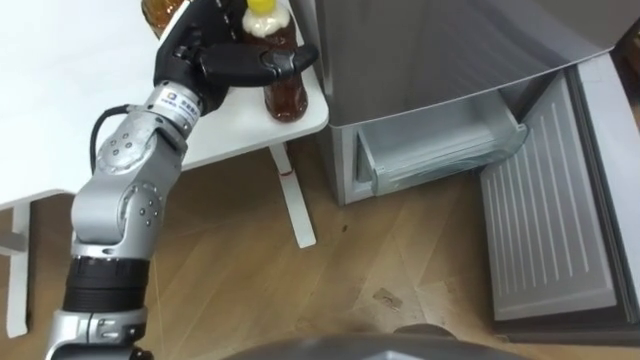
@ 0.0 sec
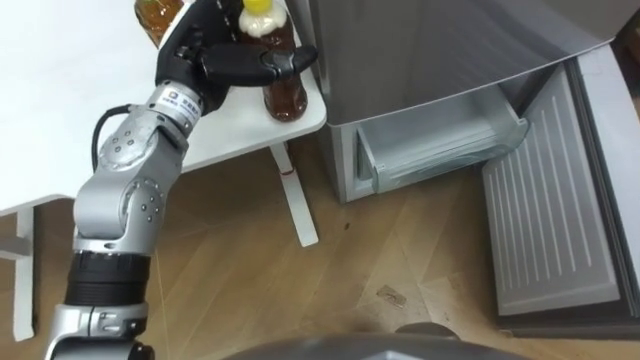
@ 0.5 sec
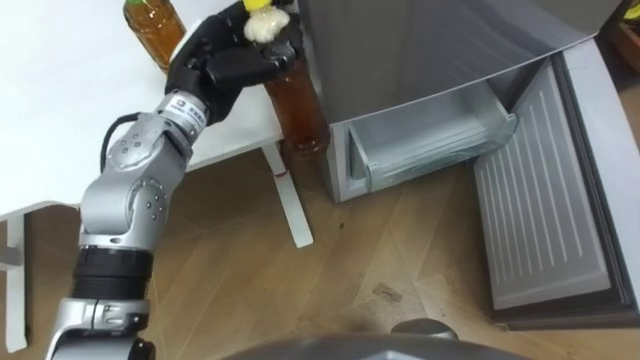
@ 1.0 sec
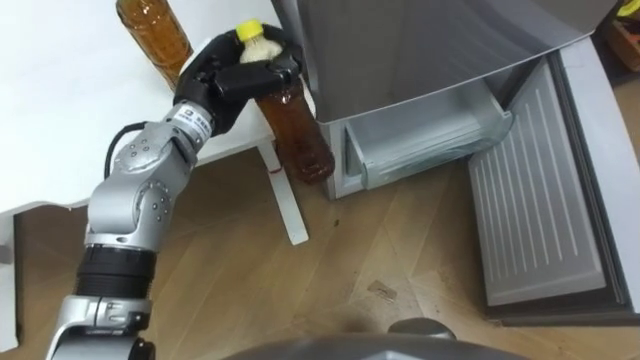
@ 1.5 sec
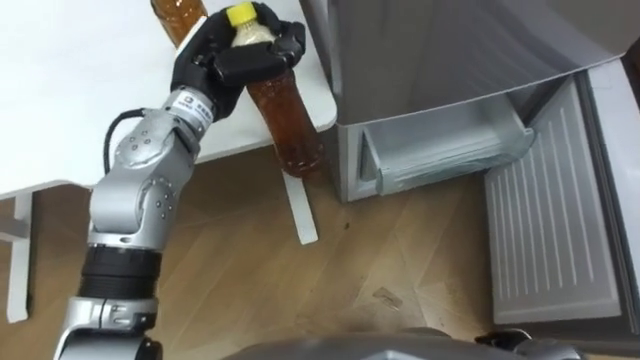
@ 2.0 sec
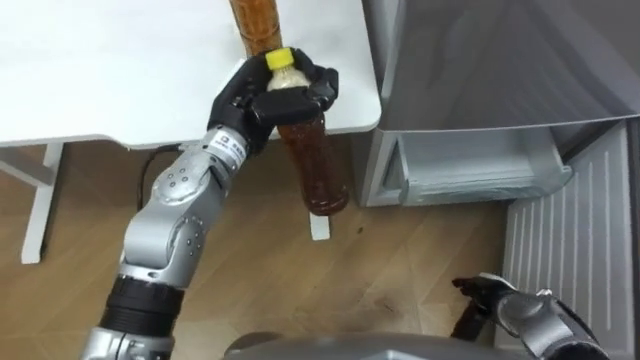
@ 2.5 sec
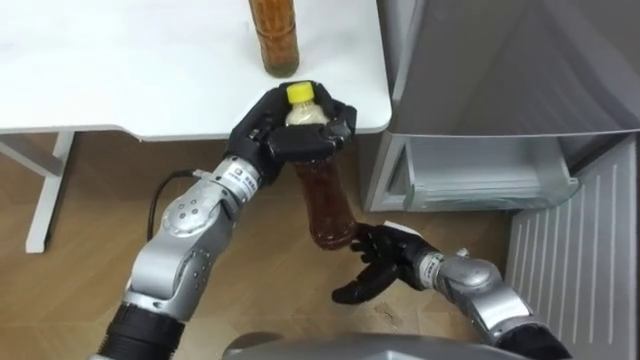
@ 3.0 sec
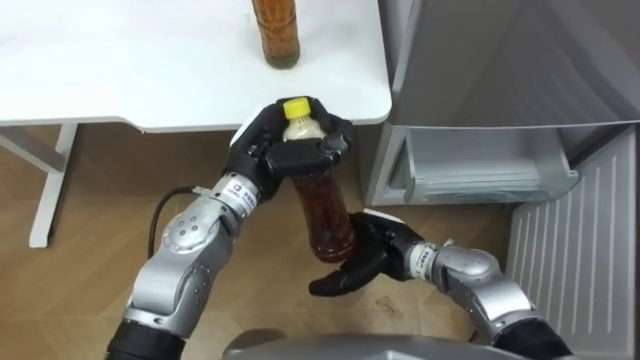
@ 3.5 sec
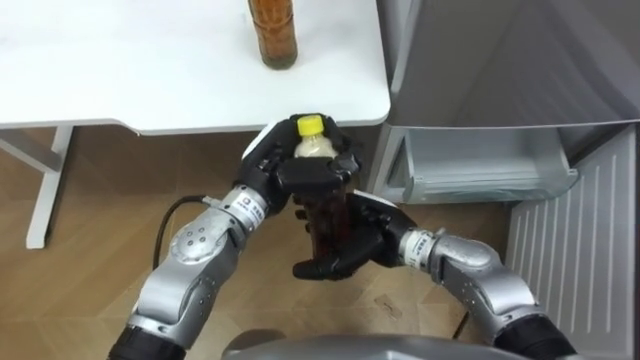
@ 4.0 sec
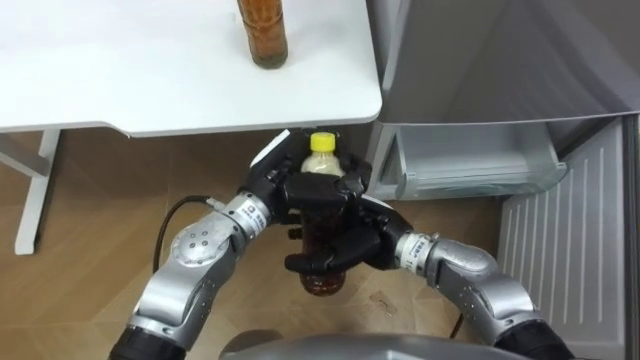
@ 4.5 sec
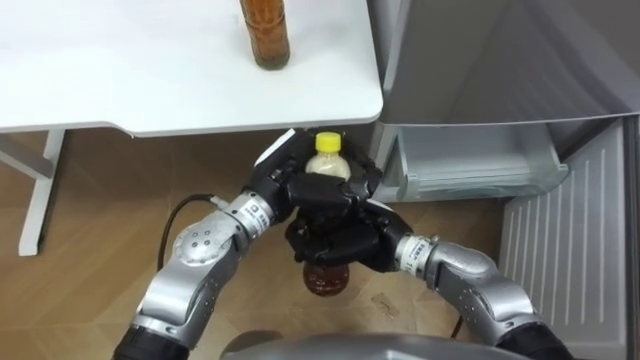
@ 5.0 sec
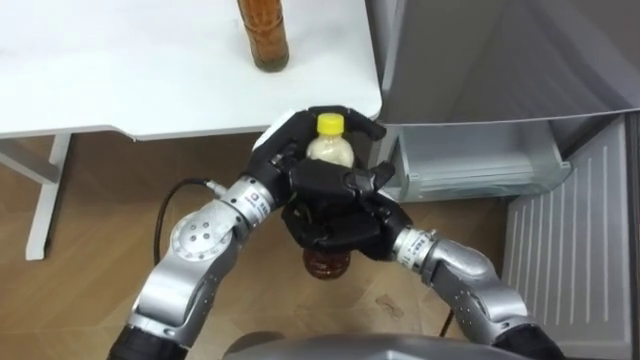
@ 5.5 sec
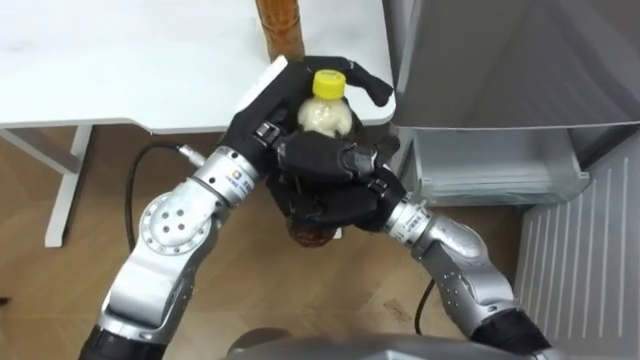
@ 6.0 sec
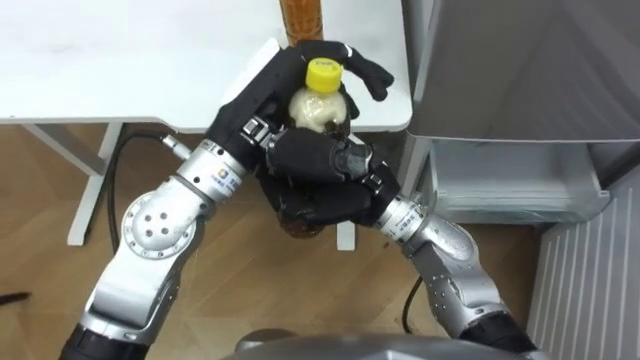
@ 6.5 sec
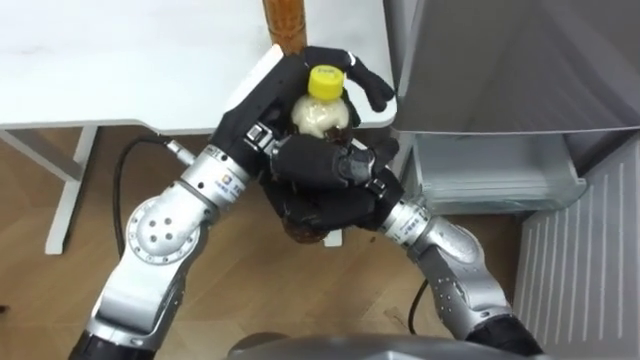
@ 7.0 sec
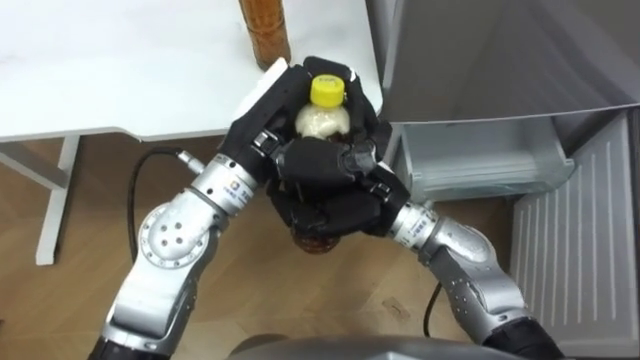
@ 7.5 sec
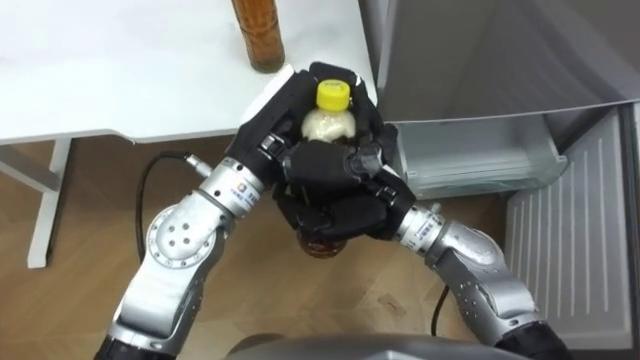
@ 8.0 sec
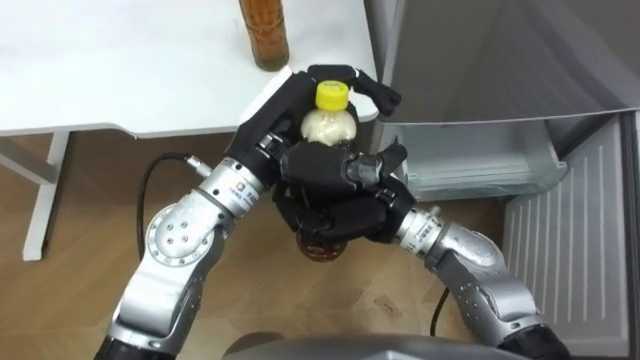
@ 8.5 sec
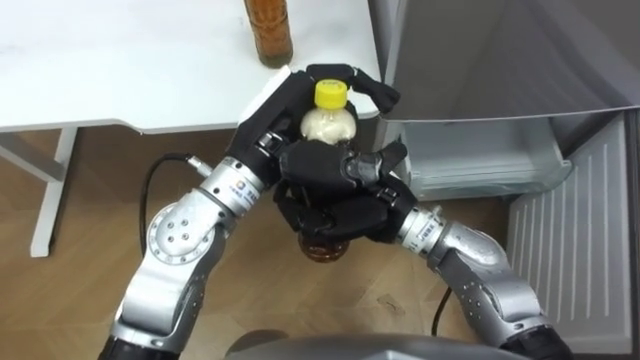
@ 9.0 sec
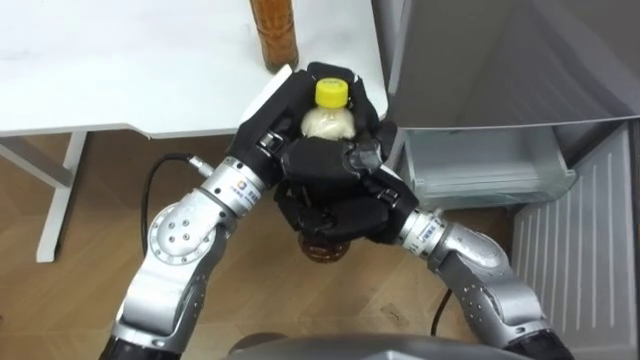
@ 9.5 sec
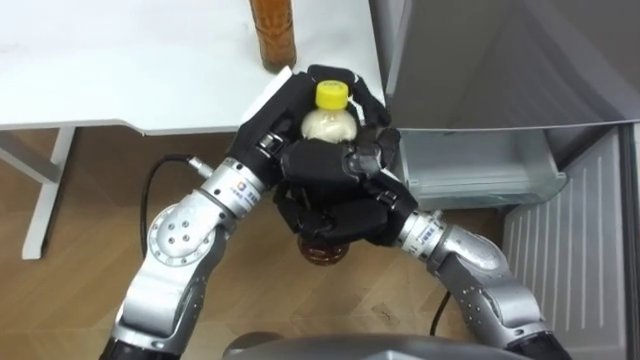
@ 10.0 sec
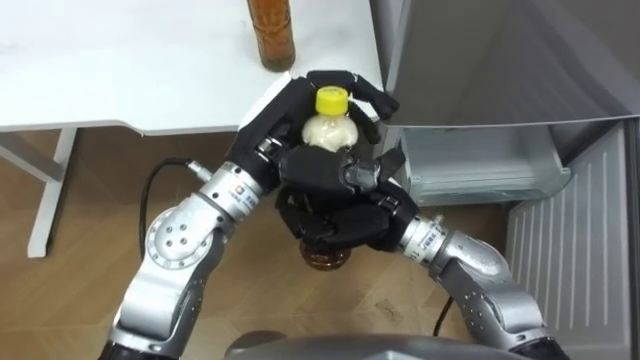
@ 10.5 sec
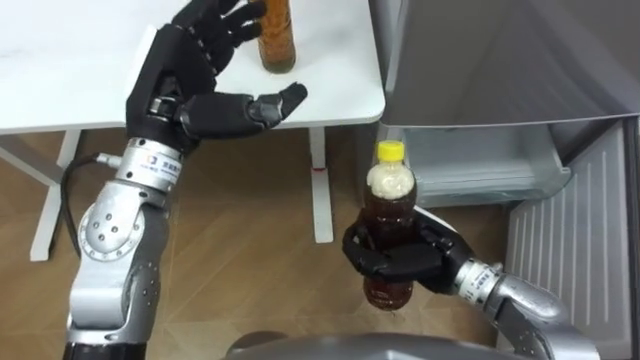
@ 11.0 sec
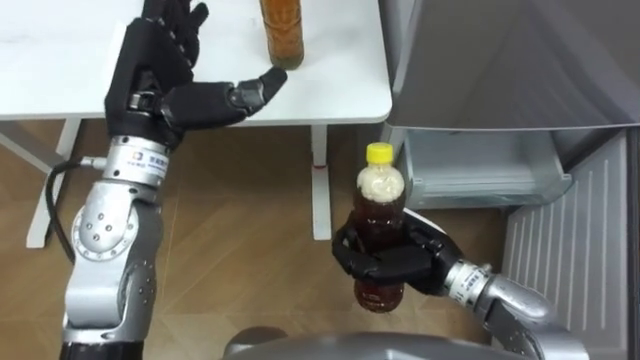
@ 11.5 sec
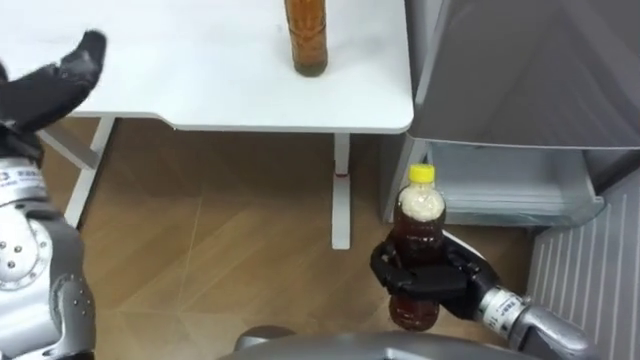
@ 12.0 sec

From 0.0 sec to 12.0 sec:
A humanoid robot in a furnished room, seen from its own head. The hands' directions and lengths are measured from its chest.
Task of the whole recording: Place the drink on the table on the bottom shelf of the refrigerator, then close the drawer and the refrigerator door.
From 0.0 sec to 2.0 sec: The left hand closes up.
From 2.0 sec to 4.0 sec: The left hand moves backward, downward and to the right, approximately 15 cm. The right hand shifts some 30 cm to the left, forward and upward.
From 4.0 sec to 6.0 sec: The hands both shift upward by roughly 10 cm. The right hand closes its fingers.
From 10.0 sec to 12.0 sec: The right hand moves to the right, downward and backward, approximately 15 cm.

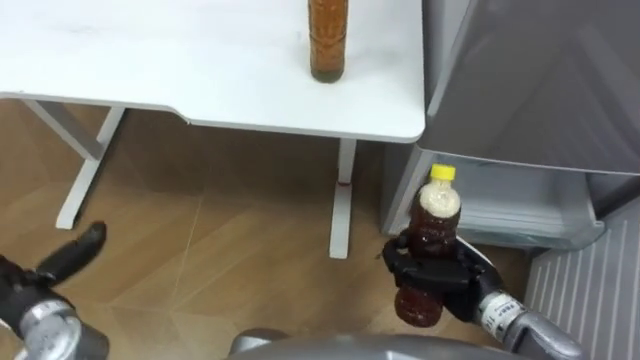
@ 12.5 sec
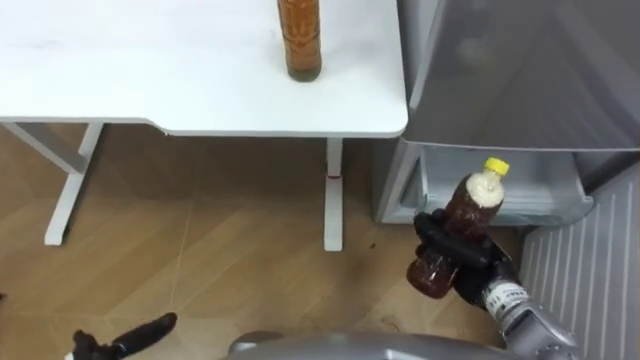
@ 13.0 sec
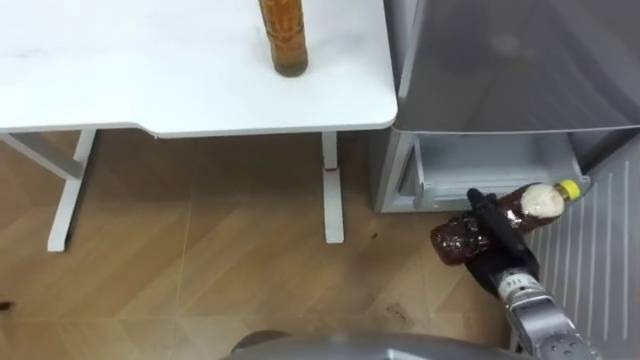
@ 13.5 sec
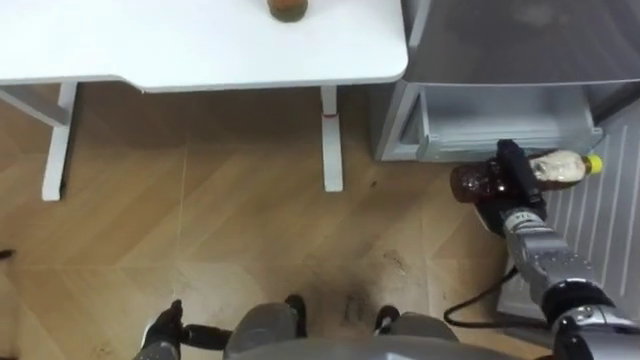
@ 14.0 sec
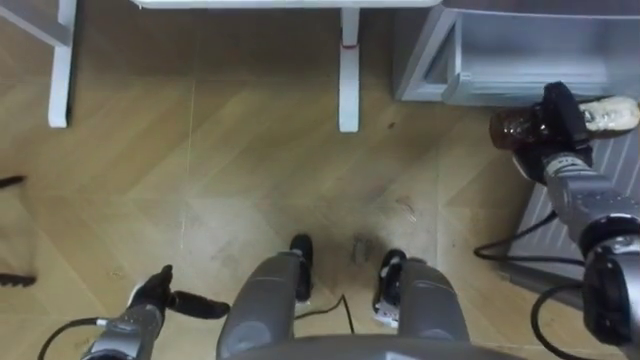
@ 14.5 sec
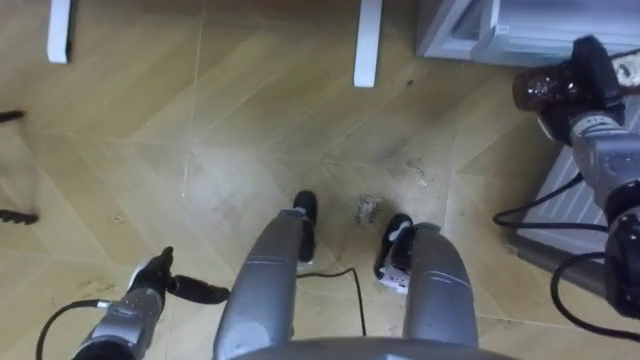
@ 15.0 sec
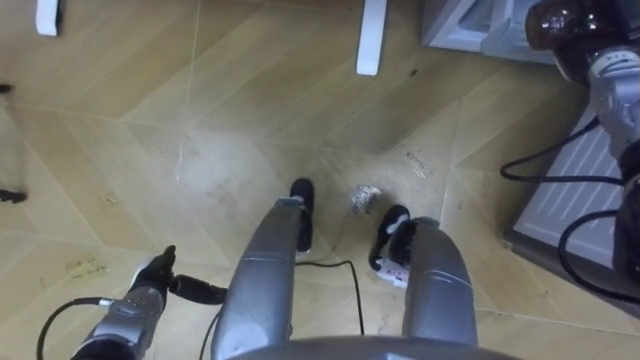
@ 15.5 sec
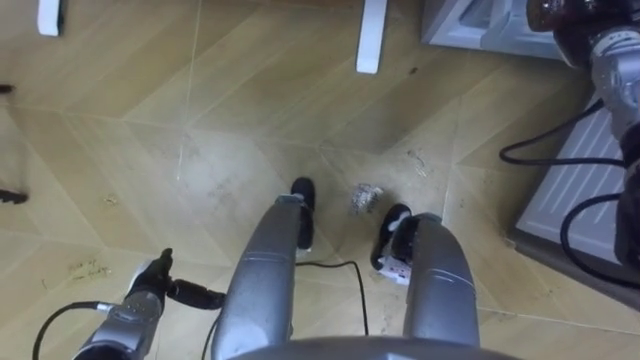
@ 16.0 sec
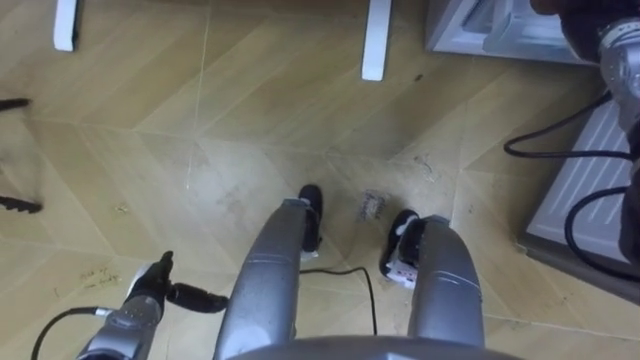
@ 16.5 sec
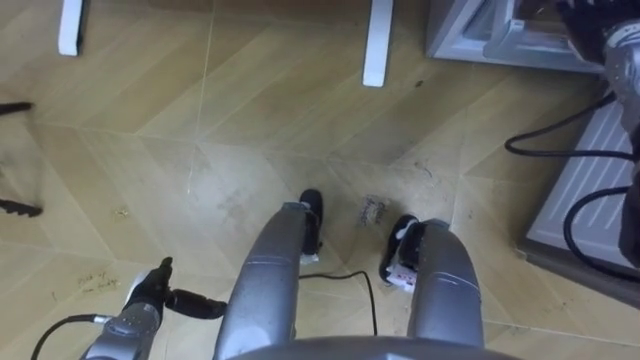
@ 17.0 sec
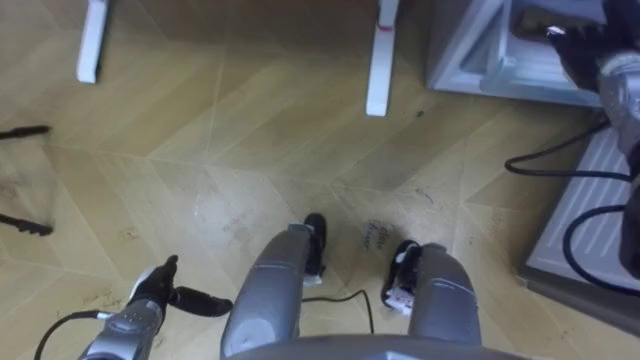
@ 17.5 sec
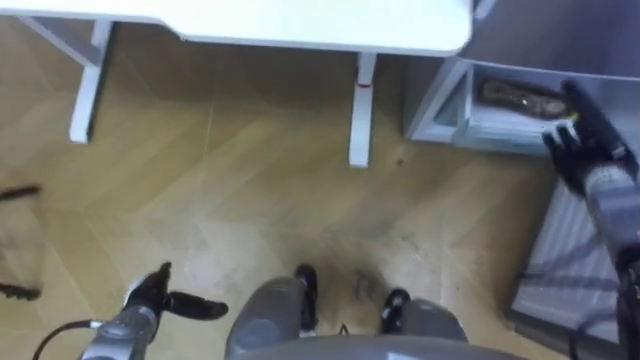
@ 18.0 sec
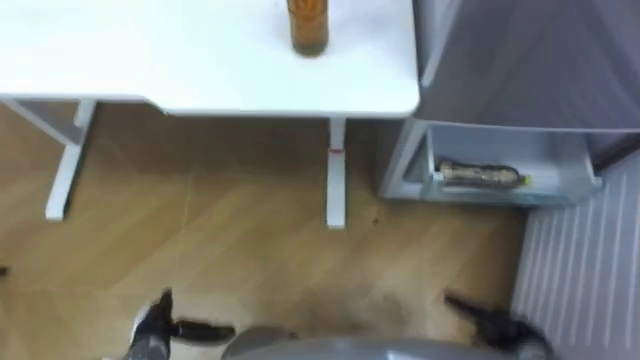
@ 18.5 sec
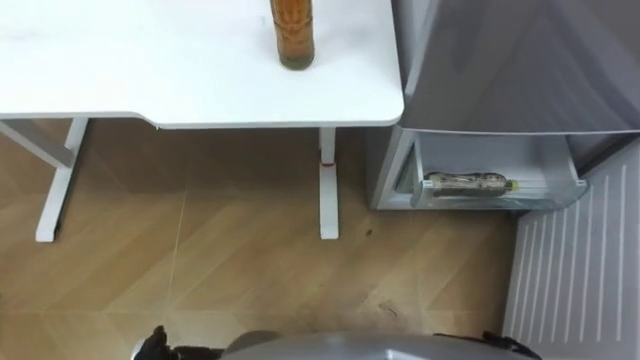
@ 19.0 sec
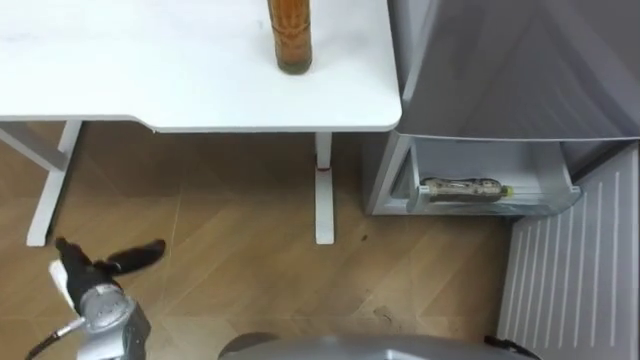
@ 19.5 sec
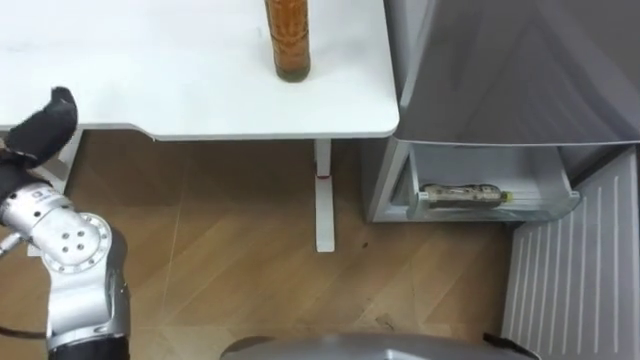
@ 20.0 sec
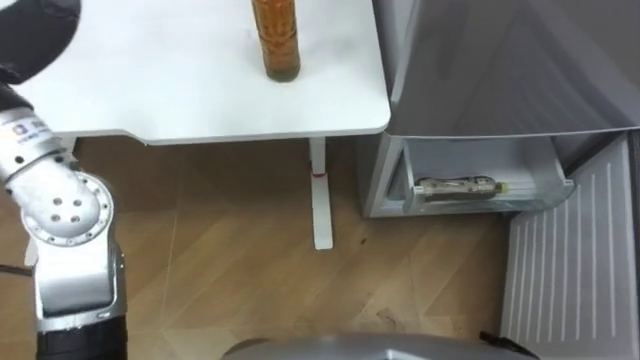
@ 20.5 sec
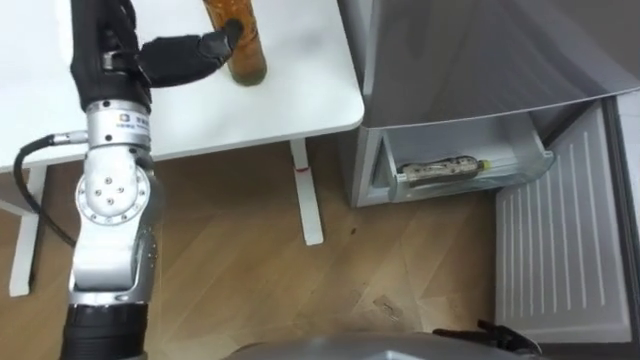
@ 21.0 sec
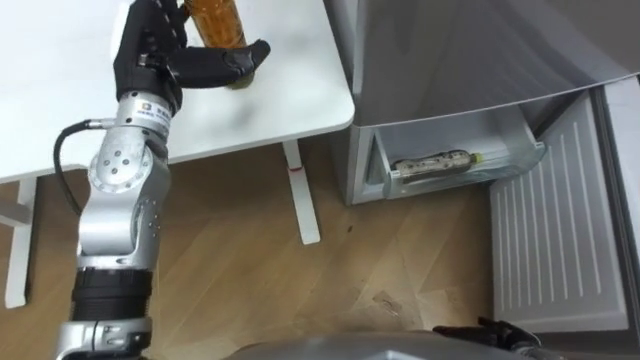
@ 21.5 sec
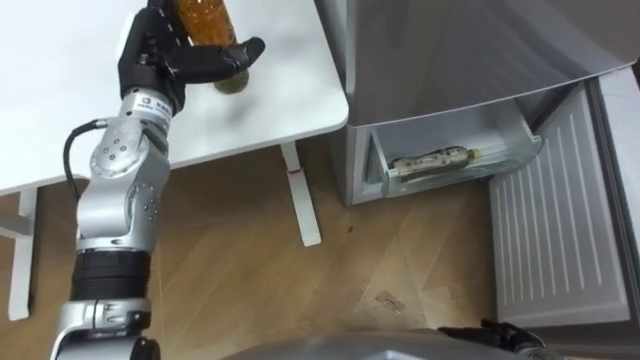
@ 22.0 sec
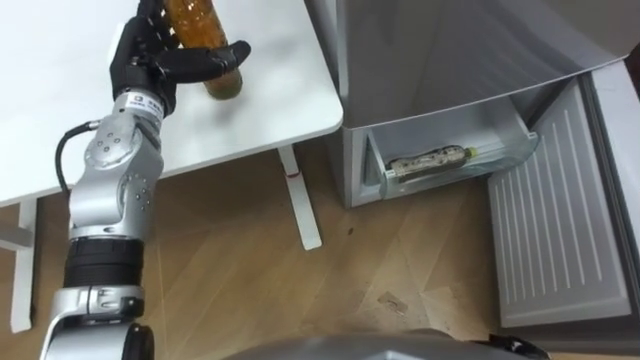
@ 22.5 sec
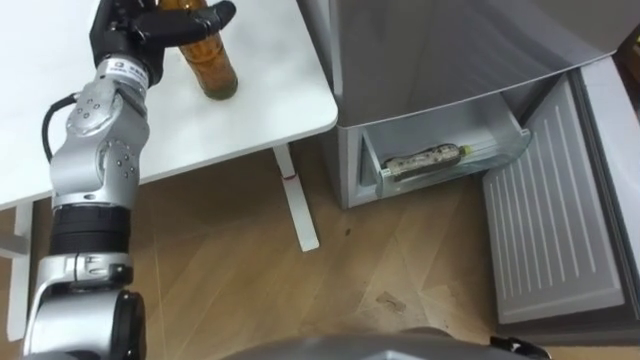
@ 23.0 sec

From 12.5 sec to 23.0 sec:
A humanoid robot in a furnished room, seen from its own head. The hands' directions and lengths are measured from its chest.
Task of the whole recording: Place the drink on the table on the bottom shelf of the refrigerator, then close the drawer and the refrigerator door.
From 12.5 sec to 14.5 sec: The right hand travels forward and to the right by about 20 cm.
From 14.5 sec to 16.5 sec: The right hand travels upward and forward by approximately 20 cm, and opens its fingers.
From 21.0 sec to 23.0 sec: The left hand shifts about 10 cm forward and downward.
